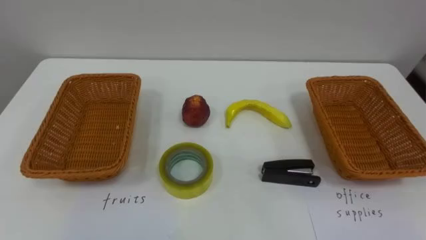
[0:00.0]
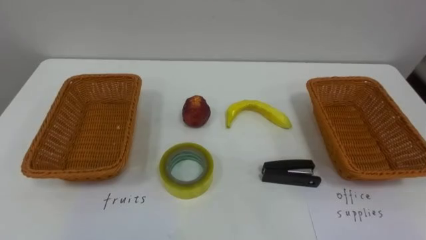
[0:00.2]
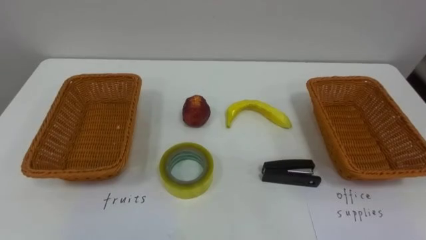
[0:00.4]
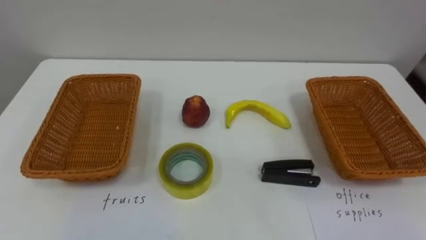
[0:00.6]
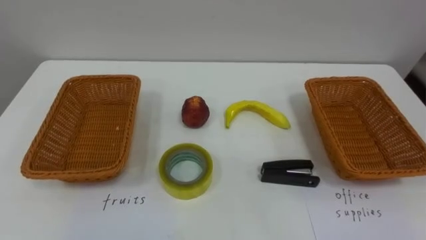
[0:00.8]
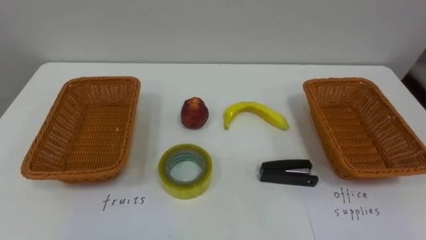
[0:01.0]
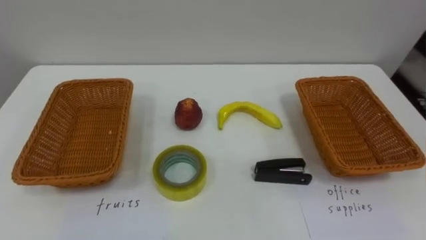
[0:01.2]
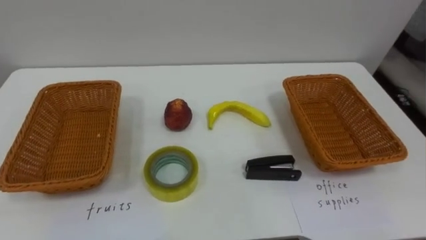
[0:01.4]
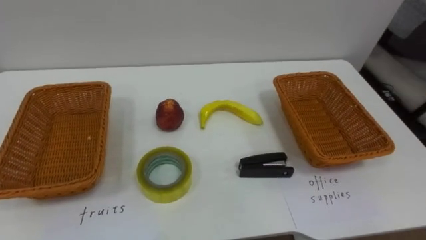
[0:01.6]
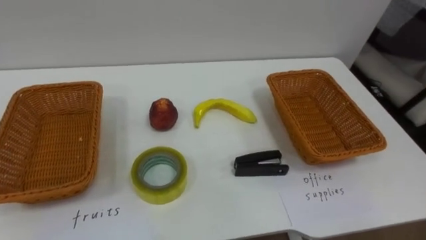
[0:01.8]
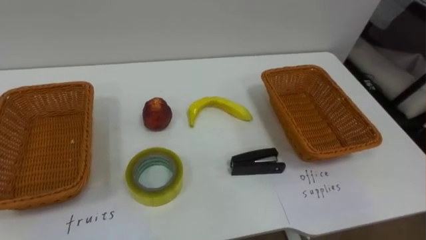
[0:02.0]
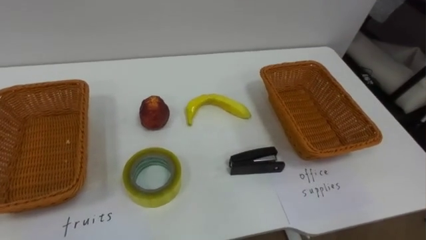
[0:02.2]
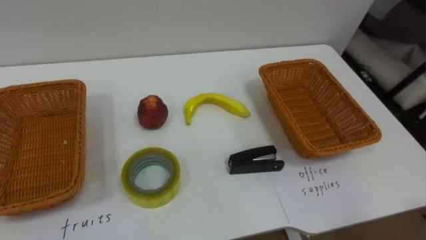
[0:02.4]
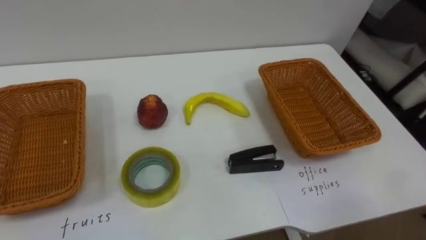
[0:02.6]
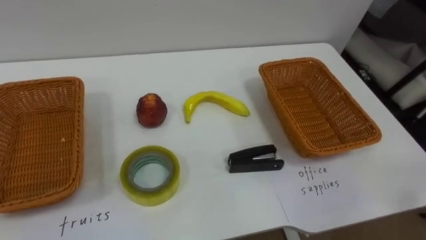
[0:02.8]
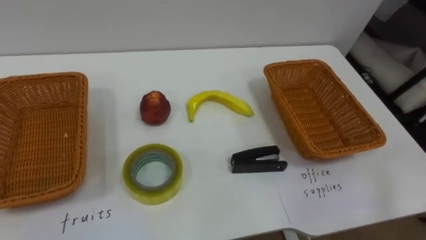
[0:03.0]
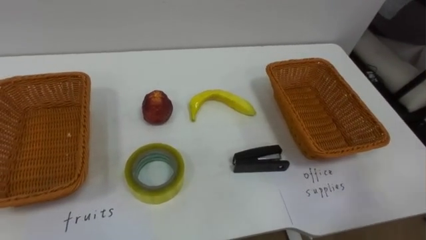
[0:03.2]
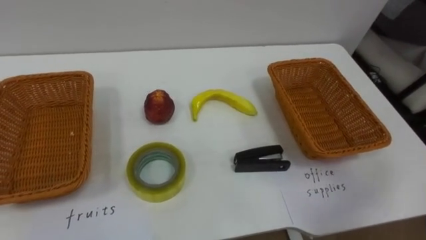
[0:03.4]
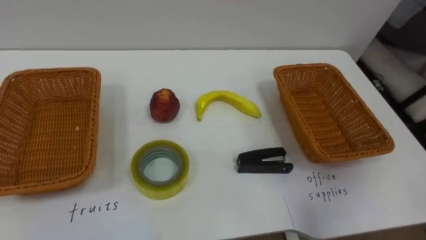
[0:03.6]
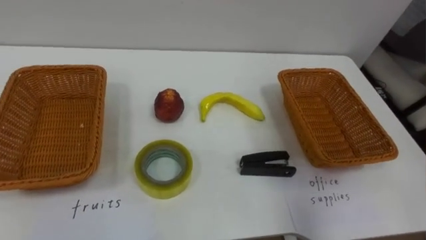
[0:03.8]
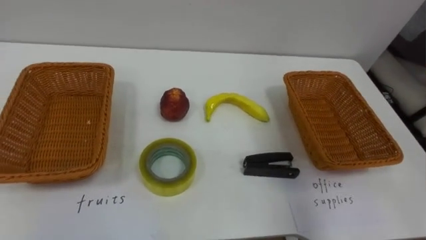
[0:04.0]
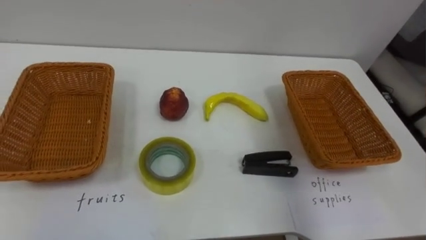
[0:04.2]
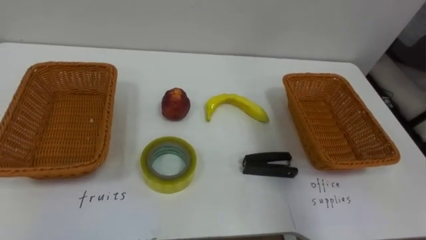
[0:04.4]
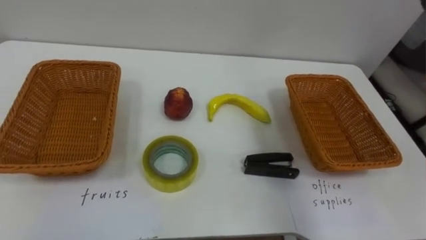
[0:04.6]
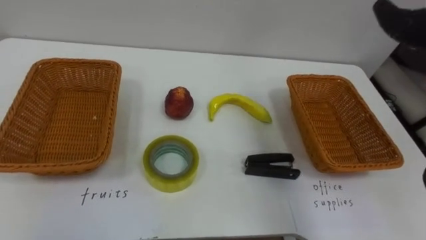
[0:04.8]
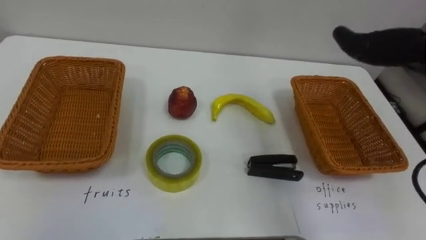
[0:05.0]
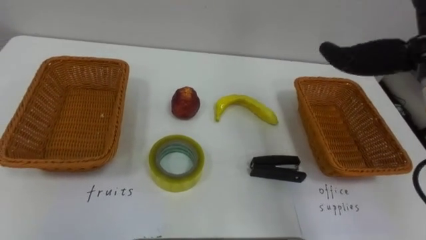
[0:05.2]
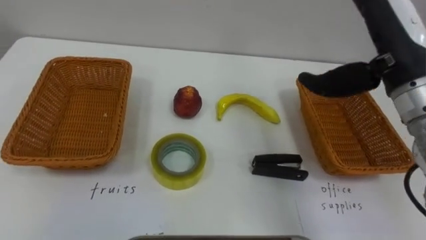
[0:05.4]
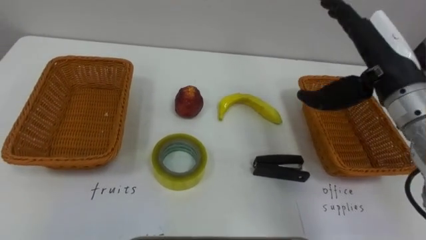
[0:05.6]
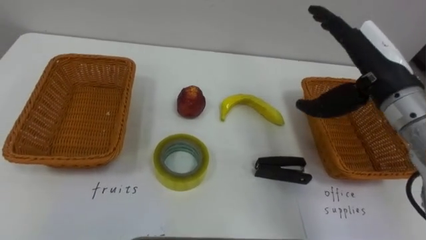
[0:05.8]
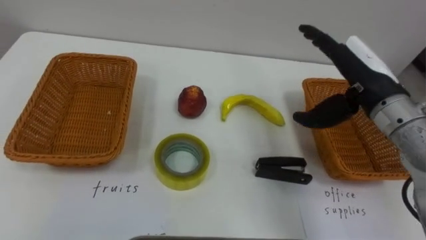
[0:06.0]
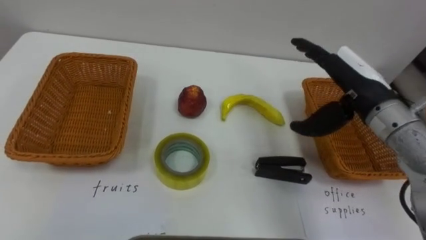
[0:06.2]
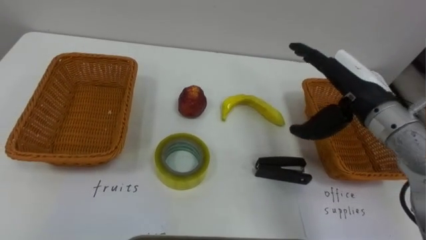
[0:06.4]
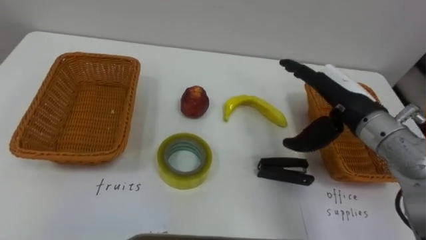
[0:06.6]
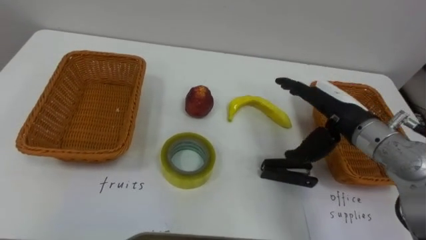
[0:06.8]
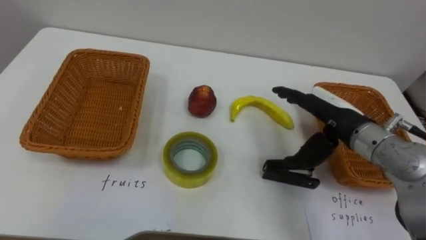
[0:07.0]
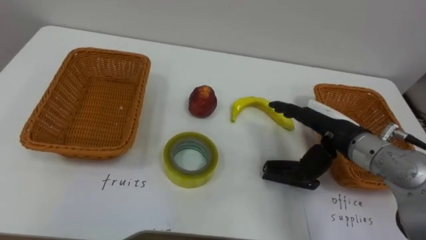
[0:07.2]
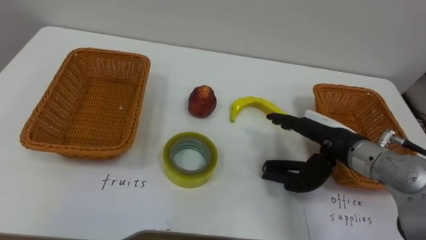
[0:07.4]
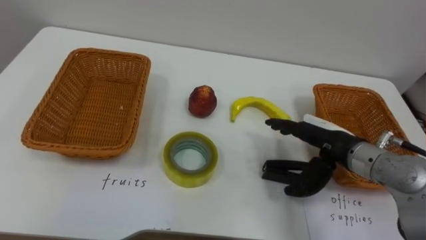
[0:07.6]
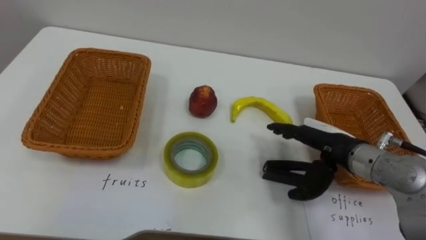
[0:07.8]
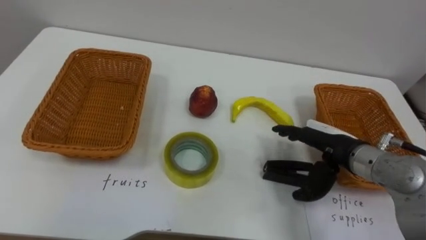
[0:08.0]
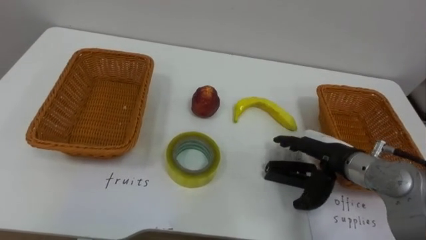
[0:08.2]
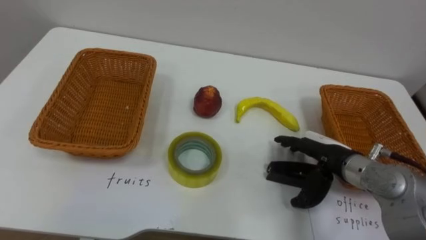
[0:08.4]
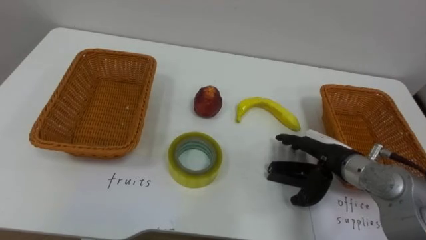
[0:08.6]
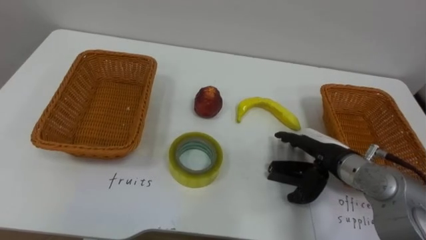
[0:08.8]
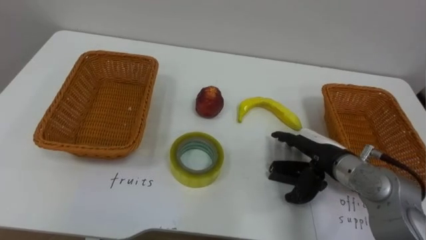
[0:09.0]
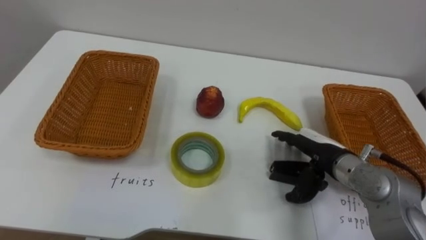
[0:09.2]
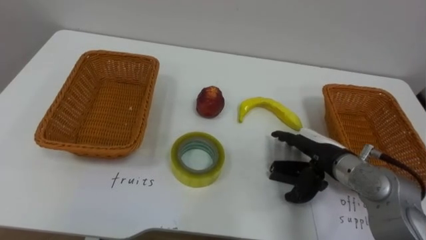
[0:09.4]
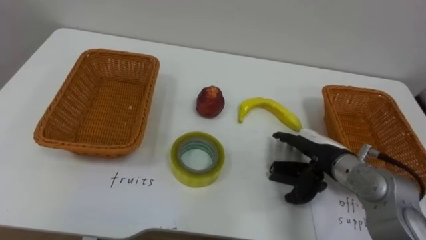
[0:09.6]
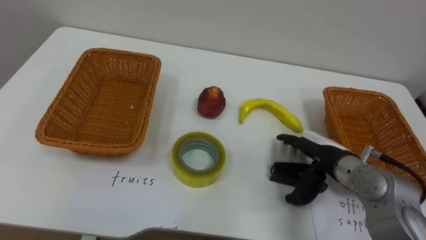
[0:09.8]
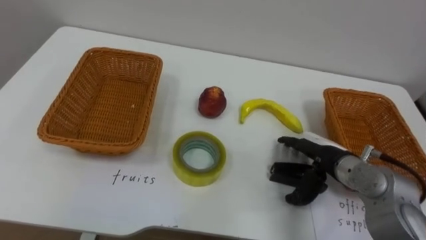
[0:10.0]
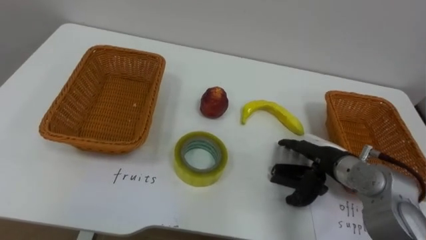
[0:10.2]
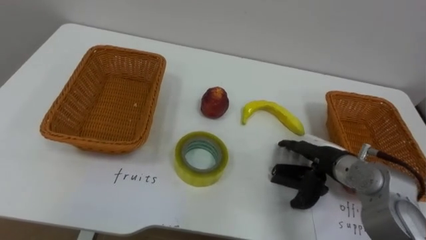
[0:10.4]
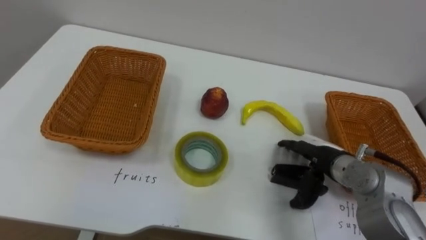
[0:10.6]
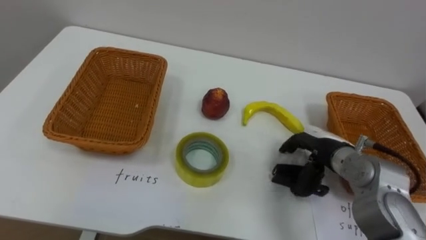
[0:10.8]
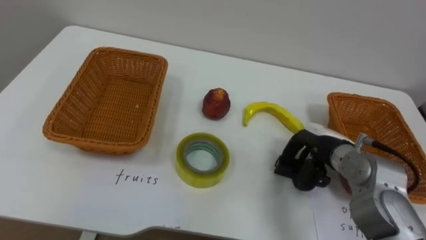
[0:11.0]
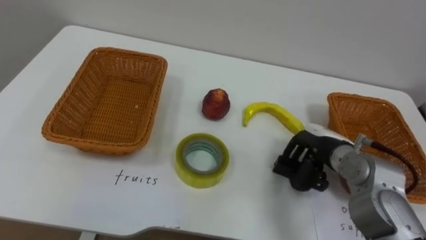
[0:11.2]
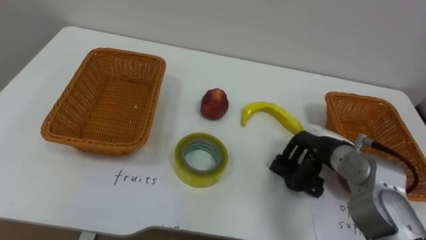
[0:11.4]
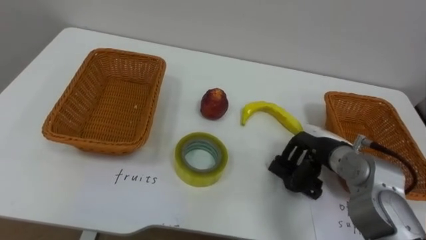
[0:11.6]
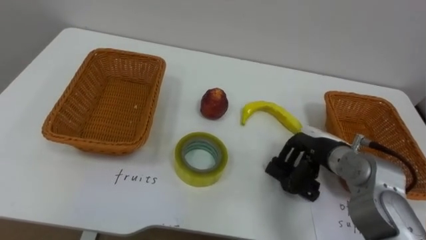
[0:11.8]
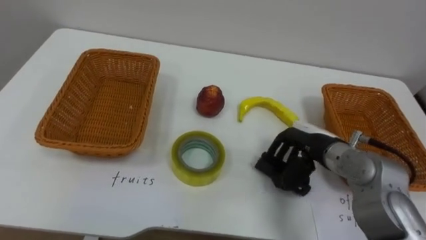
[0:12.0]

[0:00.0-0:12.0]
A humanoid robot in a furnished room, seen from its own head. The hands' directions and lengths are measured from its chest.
Task of the whole recording: Separate the items on the table and place them into the two baskets.
0:06.0 to 0:07.6: The right hand moves downward, approximately 10 cm.
0:10.4 to 0:12.0: The right hand closes its fingers.

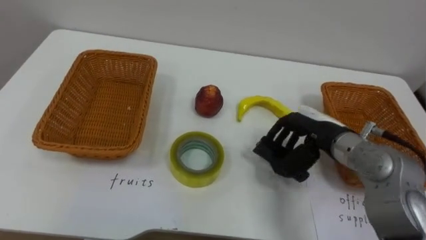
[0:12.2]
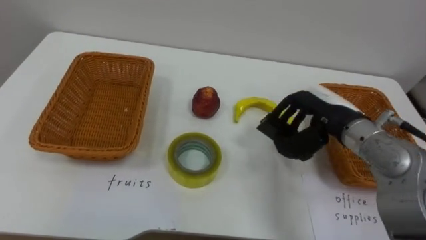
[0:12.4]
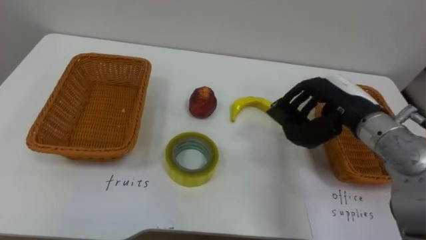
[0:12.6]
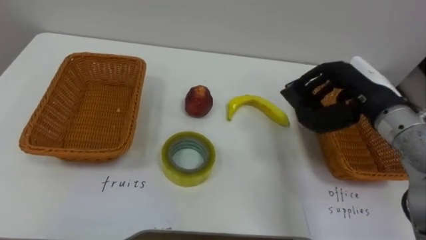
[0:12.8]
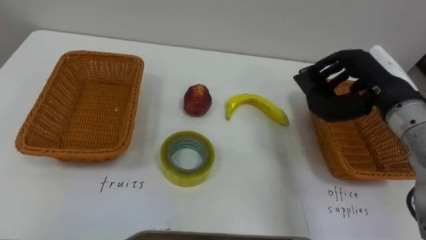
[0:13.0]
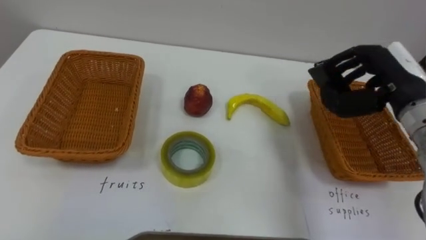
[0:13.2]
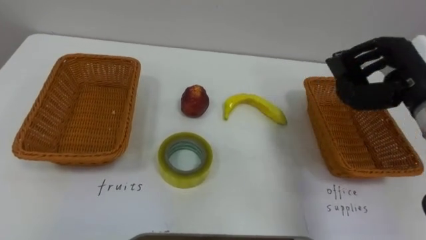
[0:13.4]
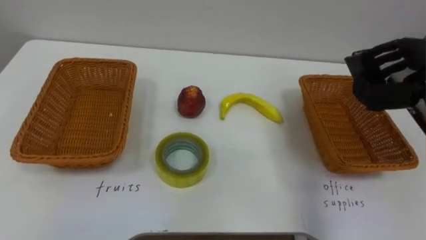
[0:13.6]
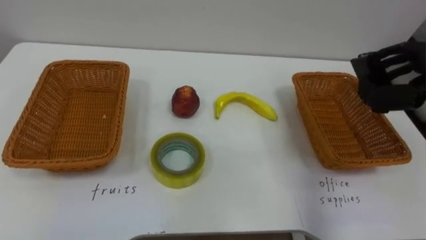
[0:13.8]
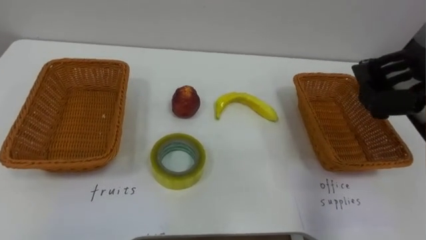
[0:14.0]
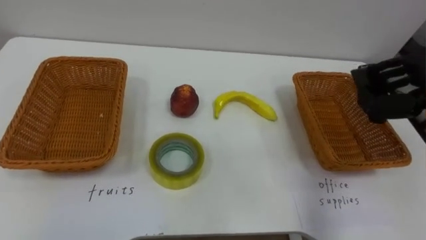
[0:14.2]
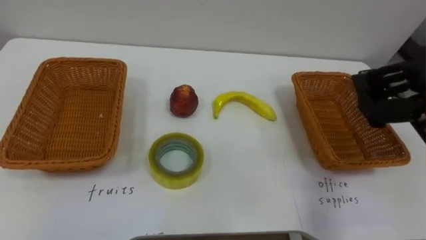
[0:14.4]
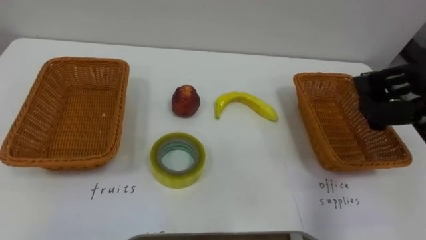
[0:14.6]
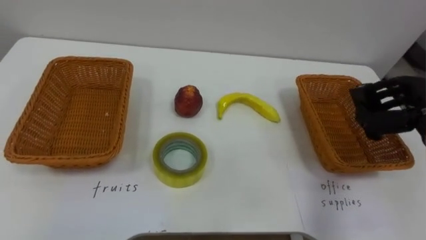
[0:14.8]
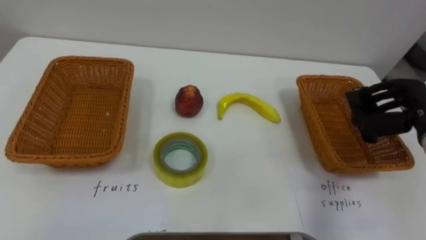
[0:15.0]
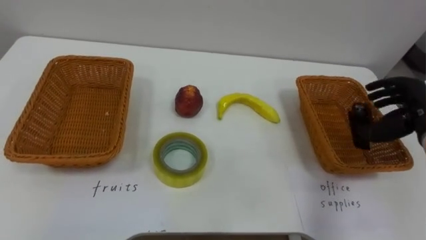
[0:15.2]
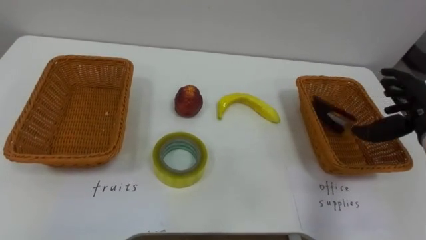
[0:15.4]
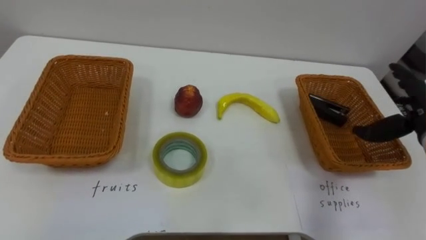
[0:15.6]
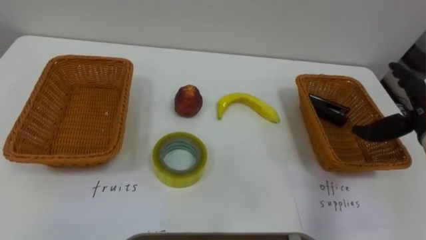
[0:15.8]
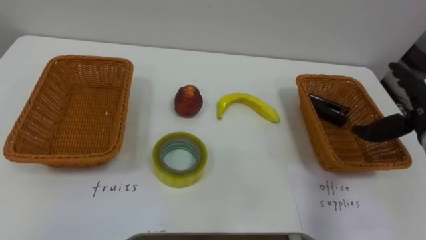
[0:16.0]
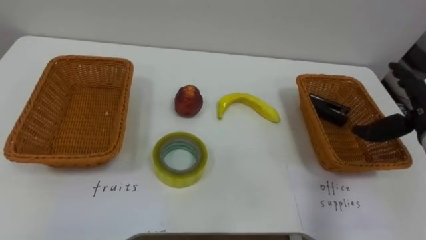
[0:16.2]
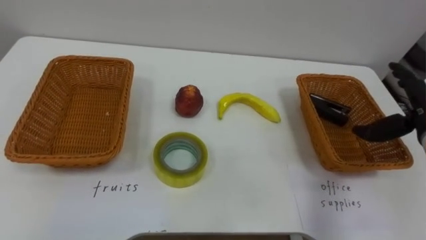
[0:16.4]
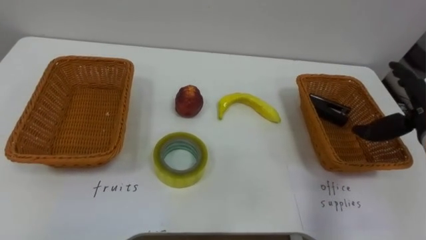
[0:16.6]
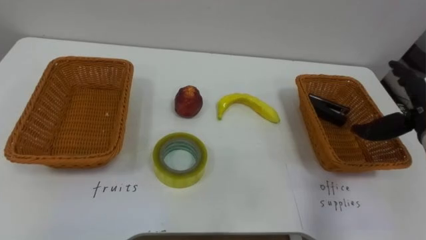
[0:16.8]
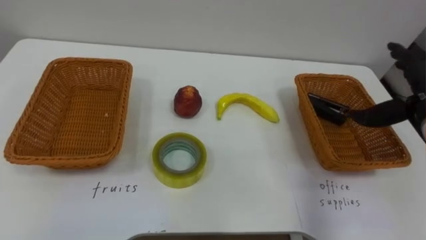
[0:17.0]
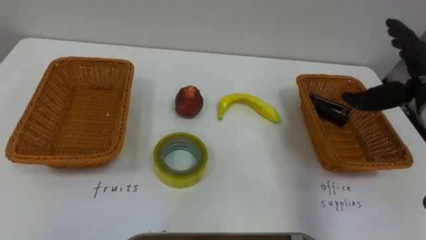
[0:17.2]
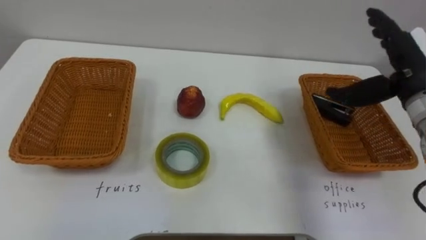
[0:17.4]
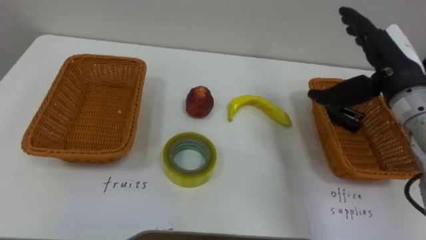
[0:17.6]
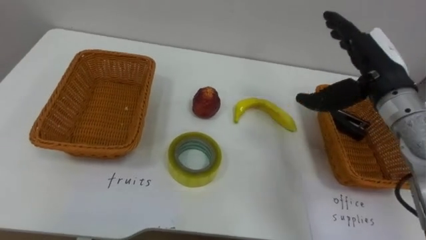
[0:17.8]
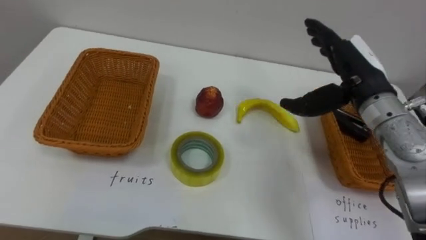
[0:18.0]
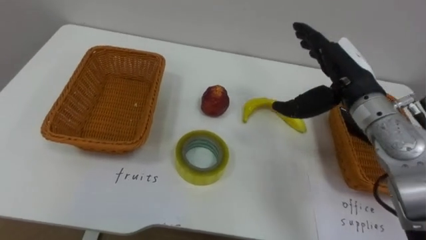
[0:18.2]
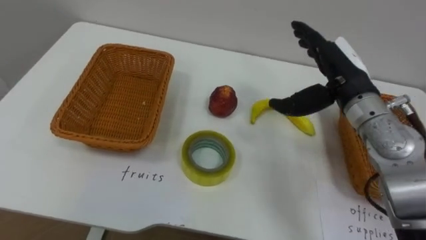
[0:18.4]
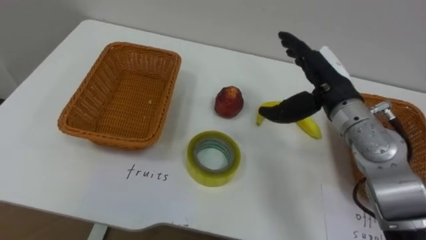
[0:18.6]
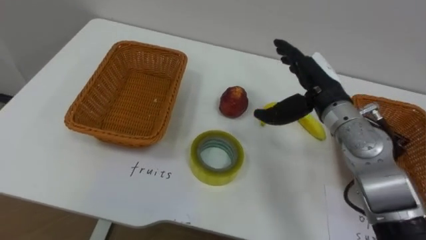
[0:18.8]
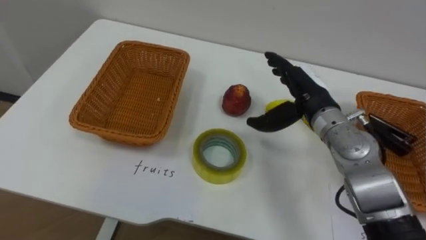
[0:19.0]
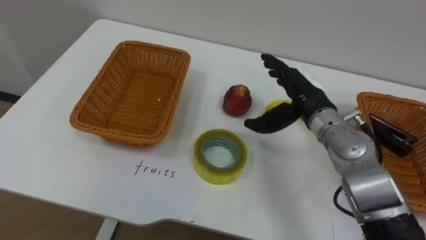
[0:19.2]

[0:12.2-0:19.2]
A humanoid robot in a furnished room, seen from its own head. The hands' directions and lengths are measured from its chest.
Task of the whole recording: Separate the items on the table and place them into the two baskets.
0:15.0 to 0:16.4: The right hand opens up.
0:16.4 to 0:17.8: The right hand is displaced to the left and upward by about 15 cm.
0:17.8 to 0:19.2: The right hand shifts roughly 10 cm to the left and downward.
